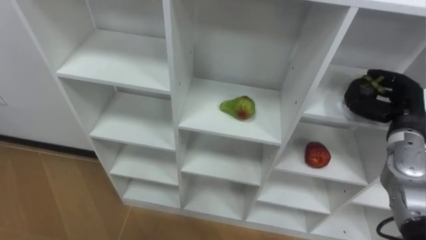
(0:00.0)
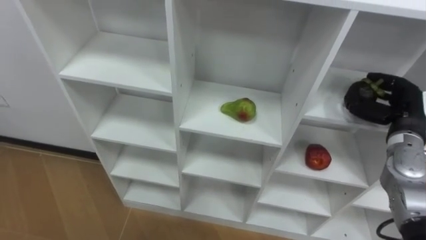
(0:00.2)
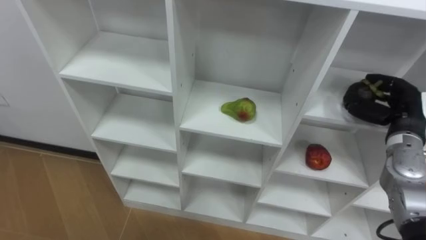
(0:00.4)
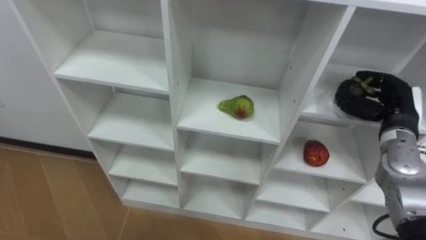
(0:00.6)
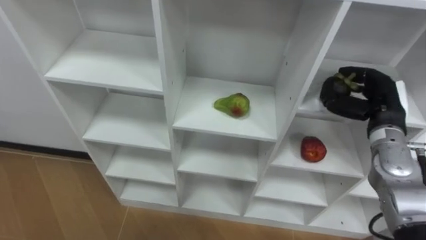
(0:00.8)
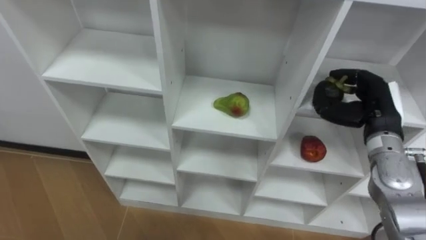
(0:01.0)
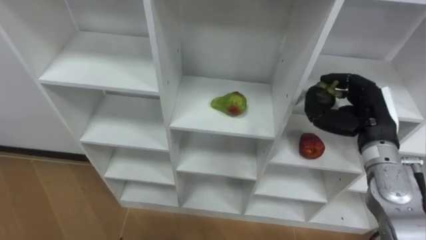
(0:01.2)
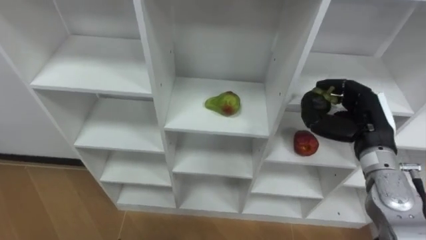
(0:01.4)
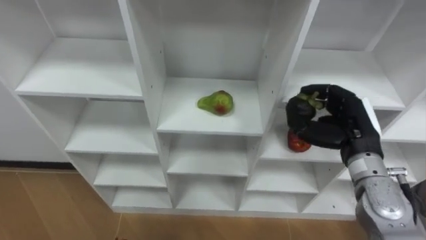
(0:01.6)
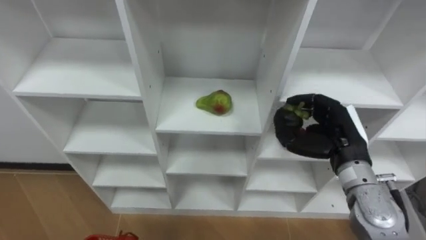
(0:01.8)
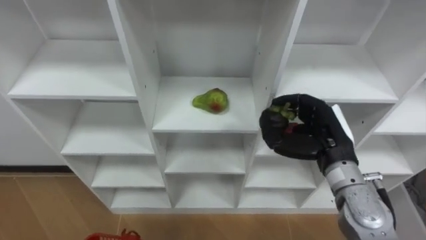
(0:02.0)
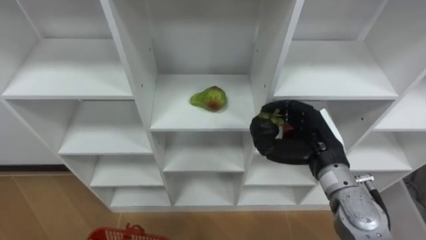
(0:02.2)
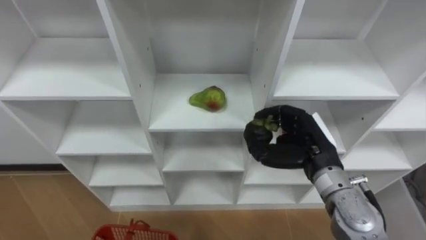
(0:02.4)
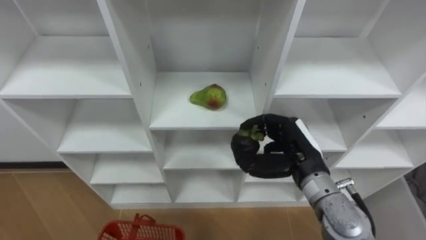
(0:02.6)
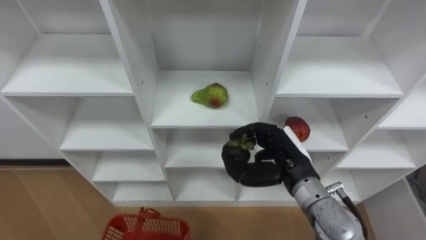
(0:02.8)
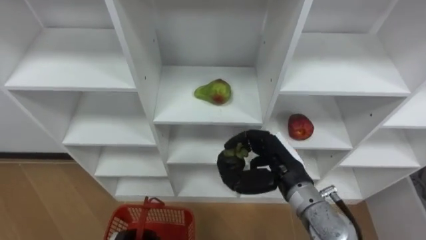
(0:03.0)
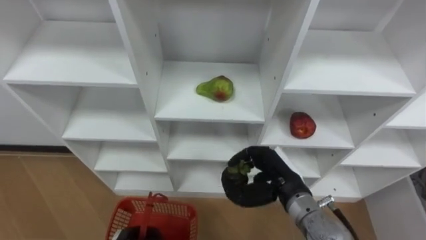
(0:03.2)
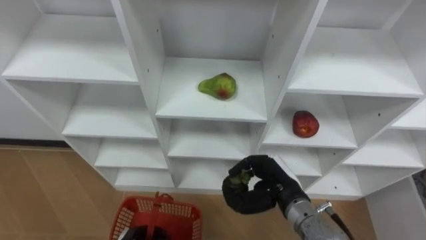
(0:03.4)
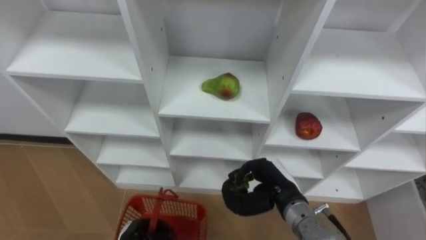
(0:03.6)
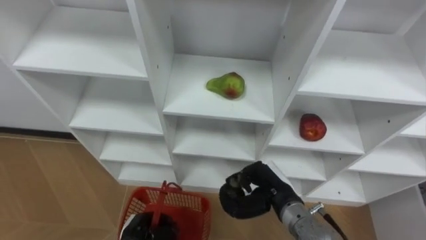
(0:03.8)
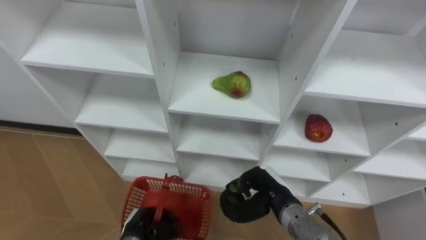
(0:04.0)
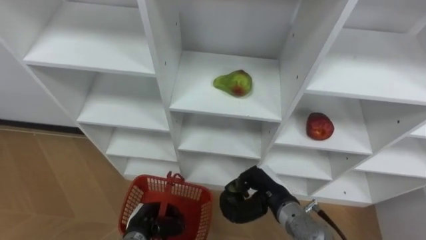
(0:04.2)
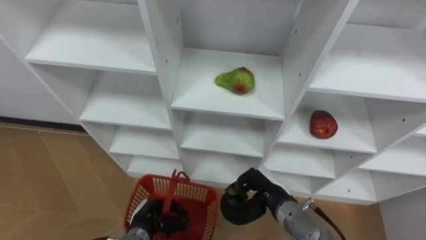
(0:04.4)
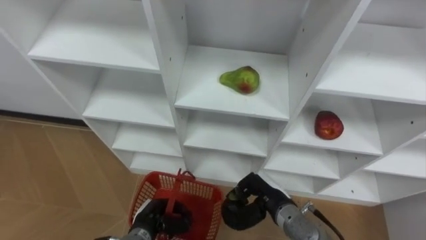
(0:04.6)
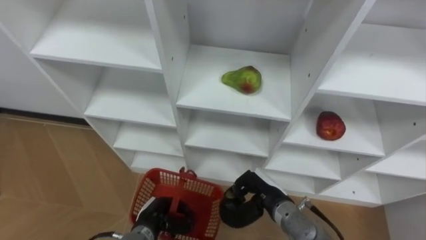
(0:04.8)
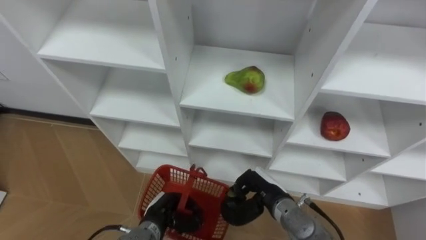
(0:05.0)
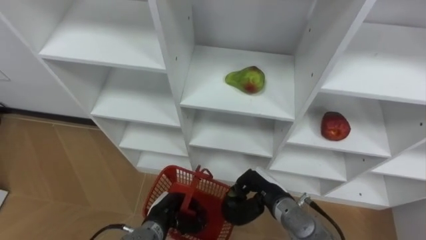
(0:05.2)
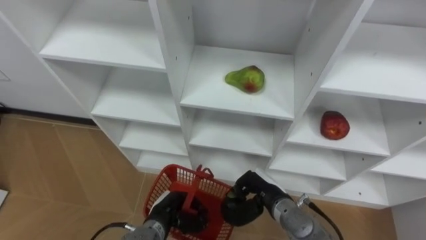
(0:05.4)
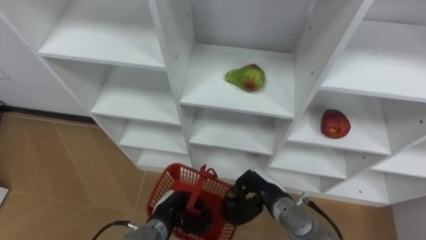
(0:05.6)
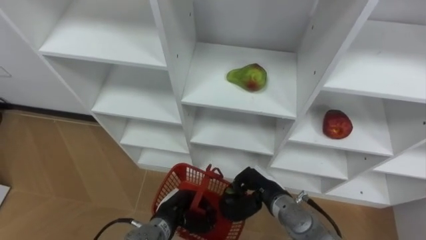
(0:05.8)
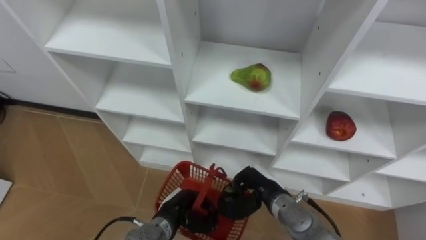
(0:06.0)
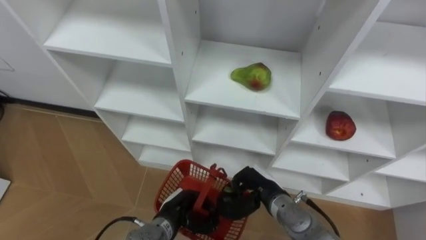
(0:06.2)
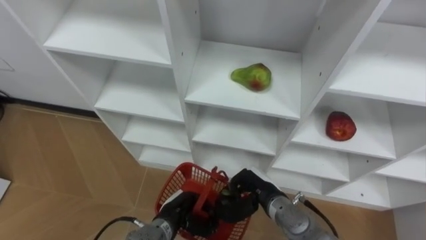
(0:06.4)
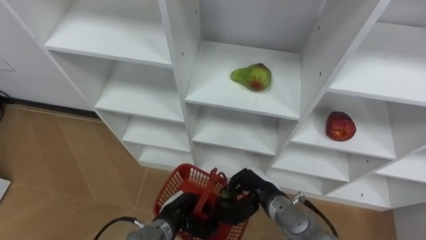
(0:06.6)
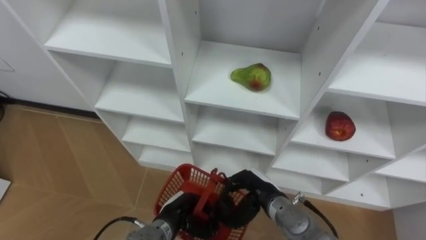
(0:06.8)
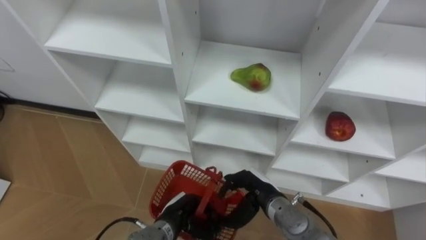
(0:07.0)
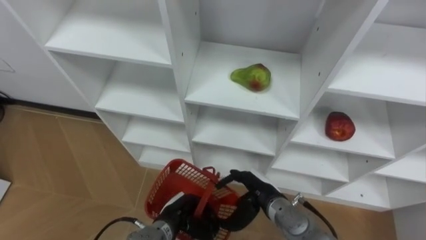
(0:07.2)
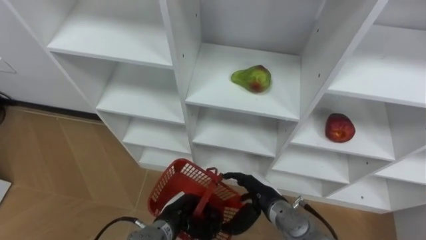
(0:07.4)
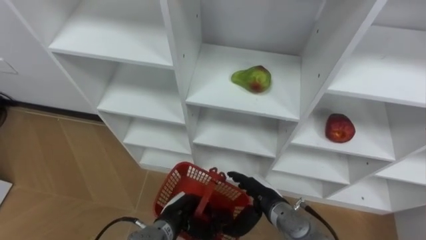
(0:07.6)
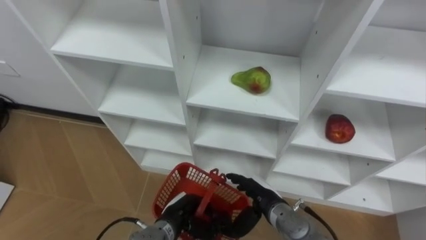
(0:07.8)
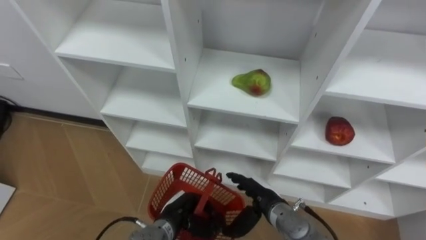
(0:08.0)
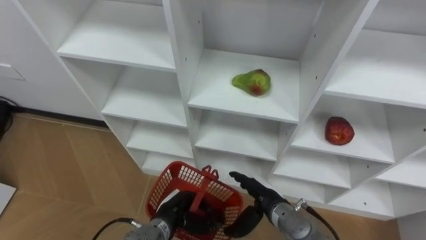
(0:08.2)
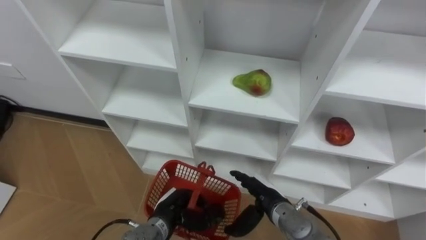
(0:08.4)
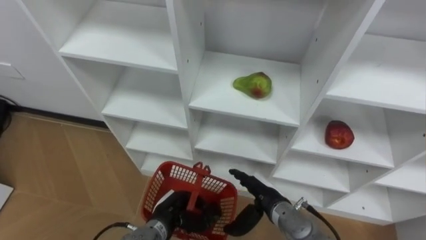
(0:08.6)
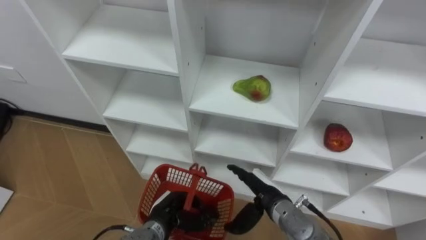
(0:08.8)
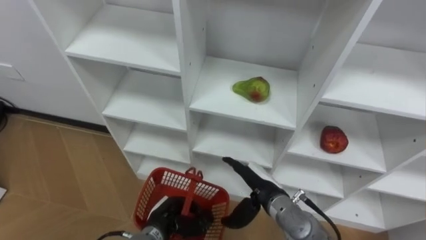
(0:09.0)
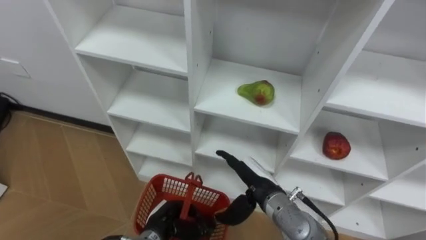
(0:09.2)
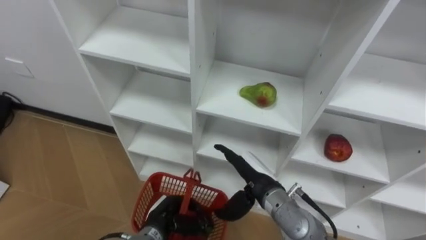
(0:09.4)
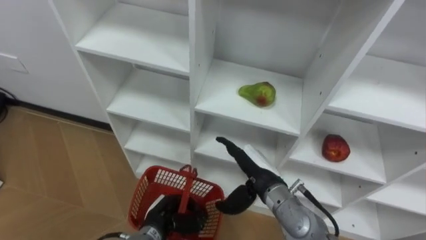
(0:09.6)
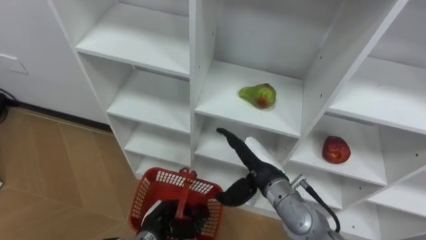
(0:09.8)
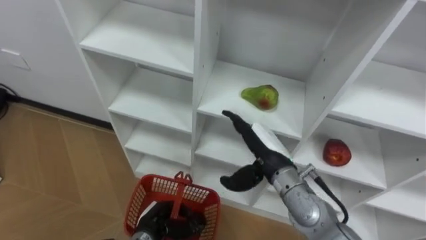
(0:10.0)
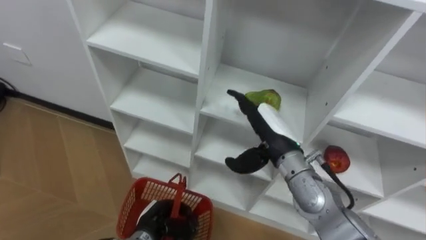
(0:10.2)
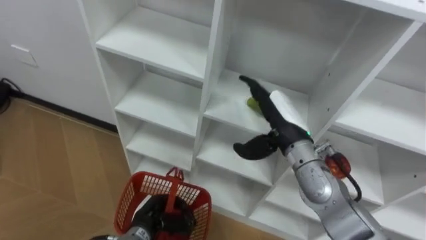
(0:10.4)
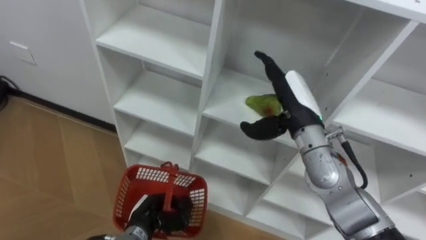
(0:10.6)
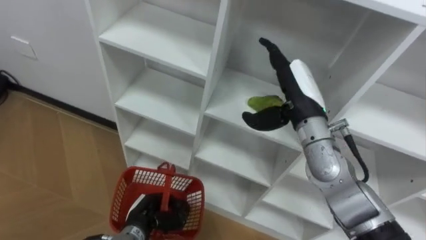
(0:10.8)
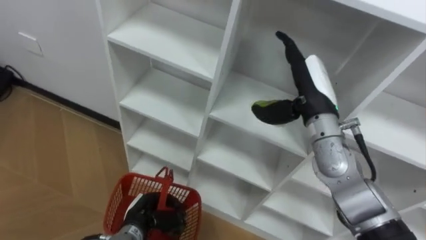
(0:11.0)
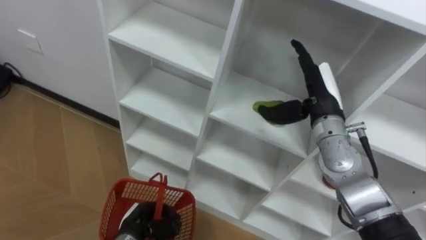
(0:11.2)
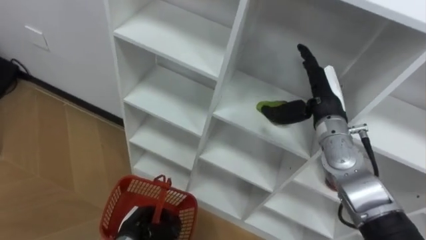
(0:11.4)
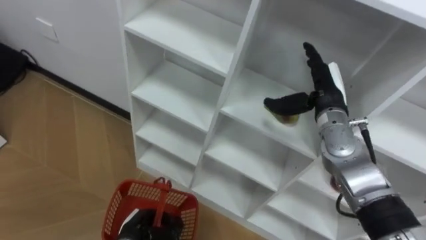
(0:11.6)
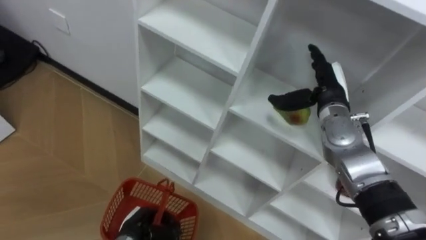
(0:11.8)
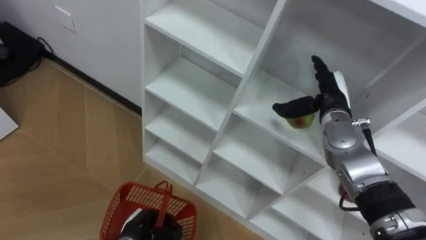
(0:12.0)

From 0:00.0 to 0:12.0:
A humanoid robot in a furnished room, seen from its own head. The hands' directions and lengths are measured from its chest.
Task of the whole recording: Hold the basket and collect the fruits from 3 different cells of the closet into it.
From 0:00.0 to 0:01.6: The right hand goes approximately 10 cm to the left.
From 0:01.6 to 0:03.0: The right hand heads to the left, covering roughly 10 cm.
From 0:03.0 to 0:04.4: The right hand shifts roughly 10 cm downward.
From 0:04.4 to 0:06.0: The left hand travels to the right by roughly 5 cm.
From 0:06.0 to 0:07.6: The right hand opens up.
From 0:09.0 to 0:10.4: The right hand moves upward and forward, roughly 15 cm.
From 0:10.4 to 0:12.0: The right hand goes roughly 10 cm to the right and forward.

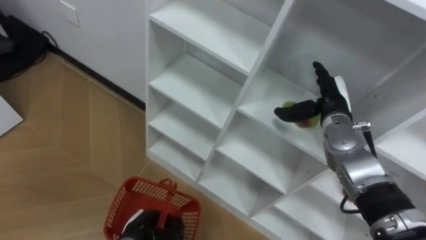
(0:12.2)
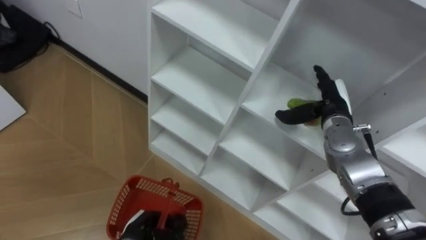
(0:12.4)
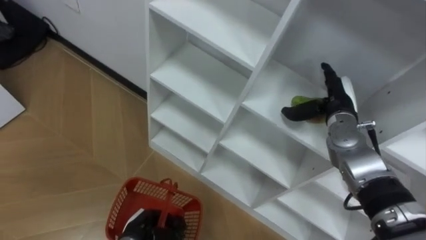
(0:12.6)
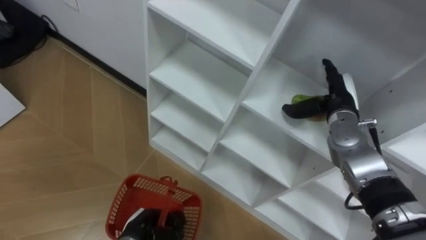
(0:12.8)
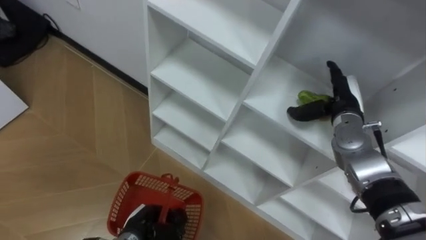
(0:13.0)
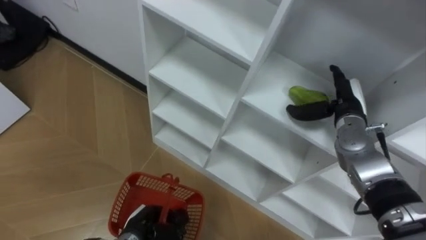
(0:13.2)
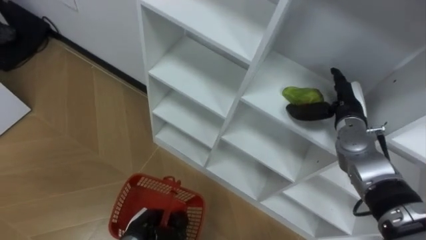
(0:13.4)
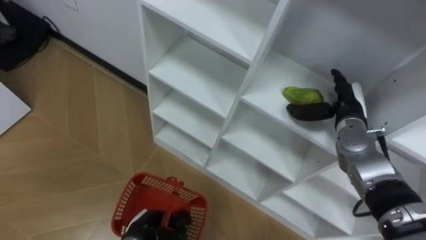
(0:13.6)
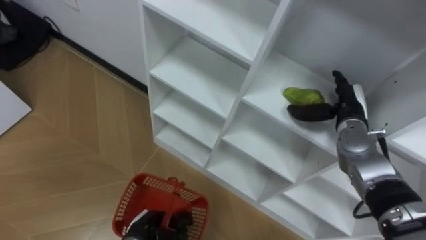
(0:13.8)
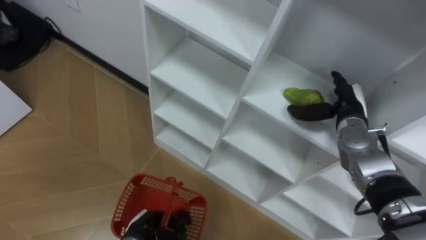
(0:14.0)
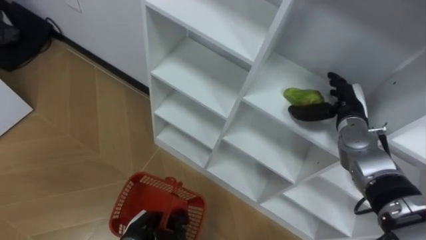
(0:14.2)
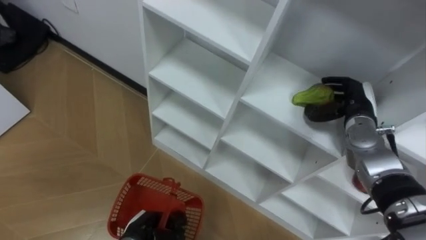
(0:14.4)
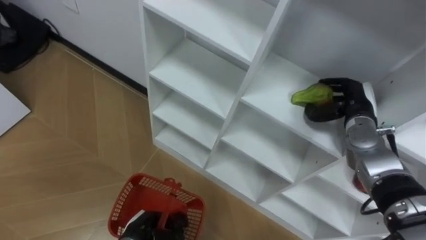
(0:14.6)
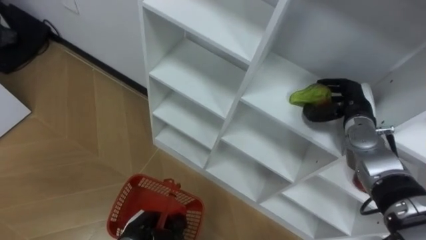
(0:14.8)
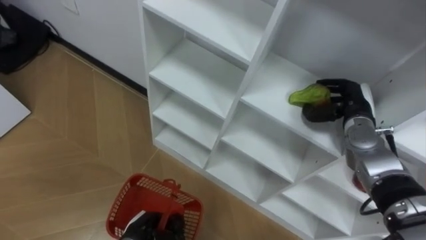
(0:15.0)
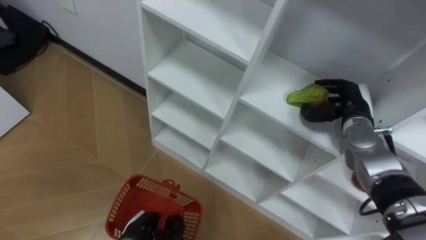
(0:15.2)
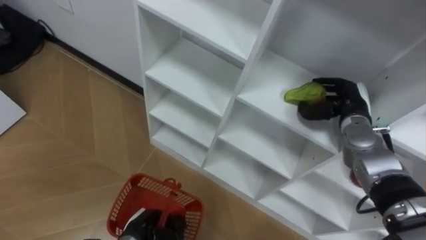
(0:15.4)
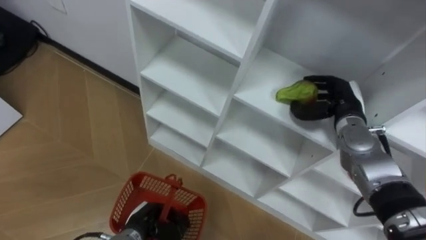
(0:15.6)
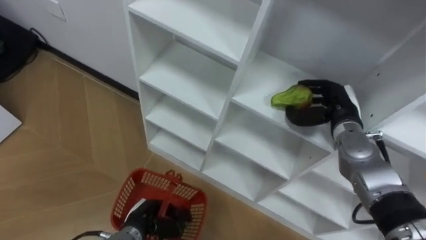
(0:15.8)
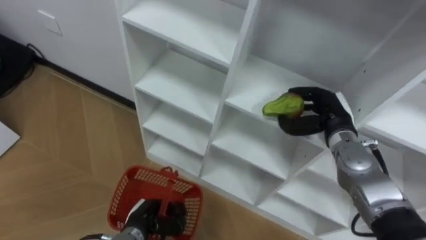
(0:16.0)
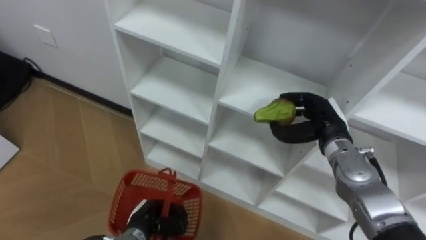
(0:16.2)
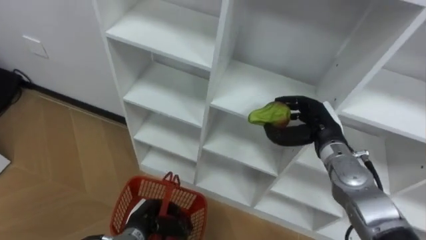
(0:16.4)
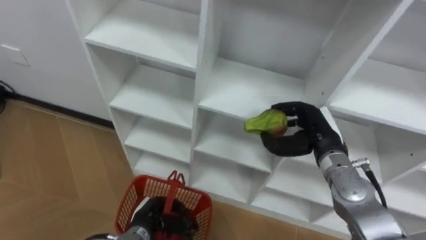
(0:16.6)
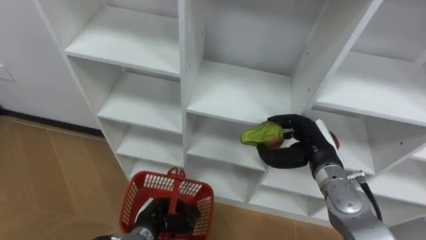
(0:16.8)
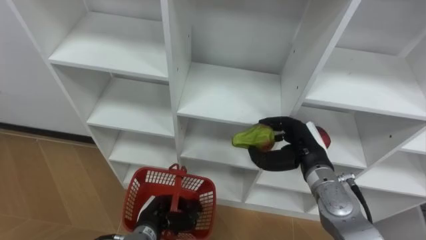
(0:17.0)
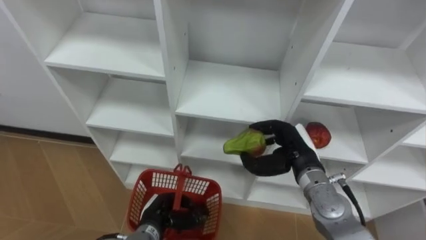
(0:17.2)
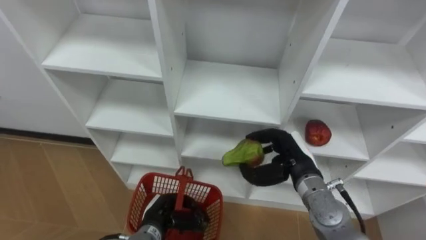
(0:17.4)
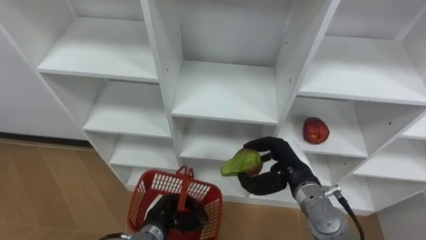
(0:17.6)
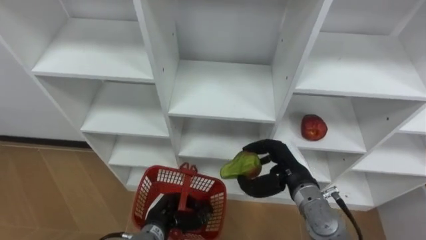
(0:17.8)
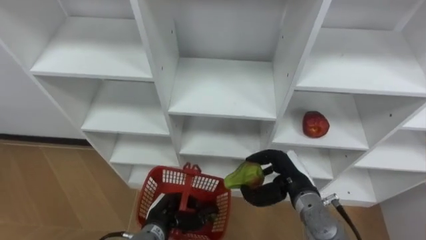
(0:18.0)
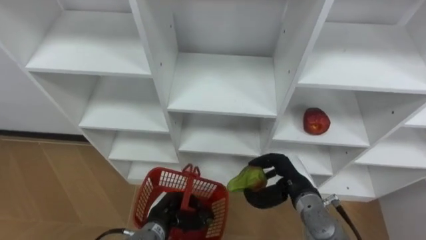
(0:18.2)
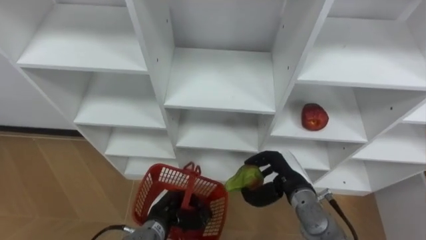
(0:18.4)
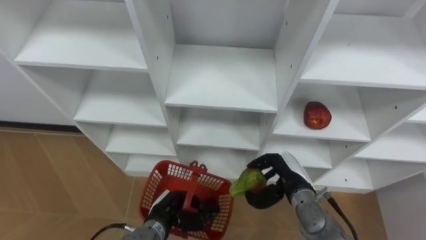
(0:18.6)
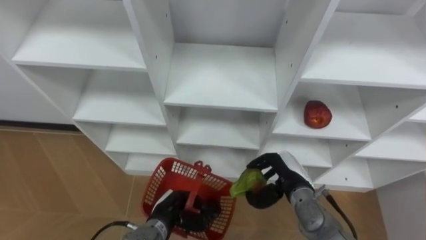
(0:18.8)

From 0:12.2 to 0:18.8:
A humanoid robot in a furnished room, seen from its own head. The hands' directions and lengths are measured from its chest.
Task of the whole recording: Hold the basket and collect the fruits from 3 different cells of the closet into it.
From 0:13.8 to 0:15.4: The right hand closes.
From 0:15.4 to 0:17.2: The right hand heads to the left and backward, covering approximately 15 cm.
From 0:17.2 to 0:18.8: The right hand shifts about 5 cm downward.
